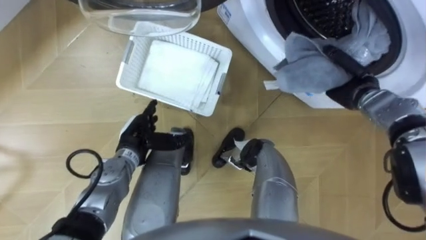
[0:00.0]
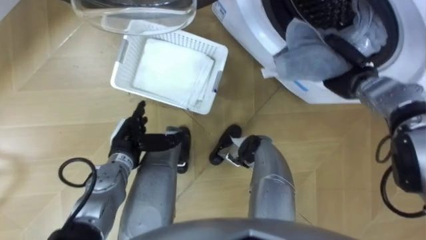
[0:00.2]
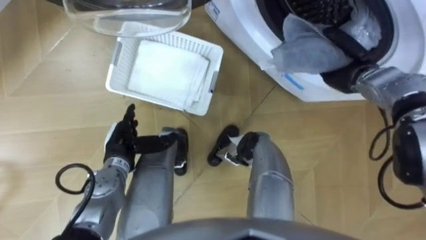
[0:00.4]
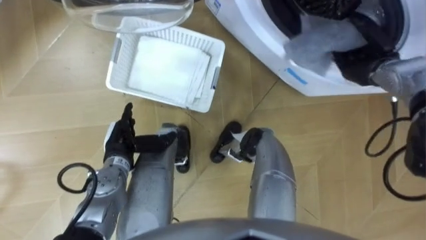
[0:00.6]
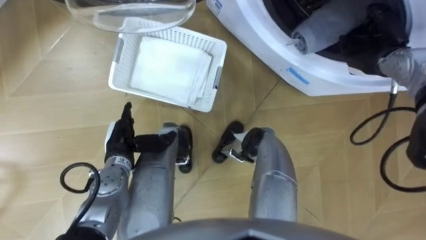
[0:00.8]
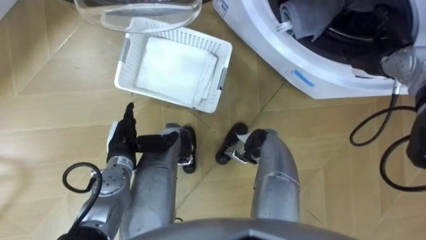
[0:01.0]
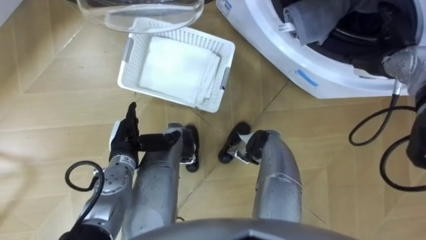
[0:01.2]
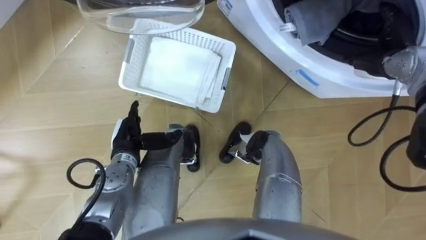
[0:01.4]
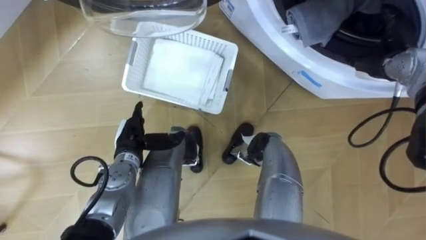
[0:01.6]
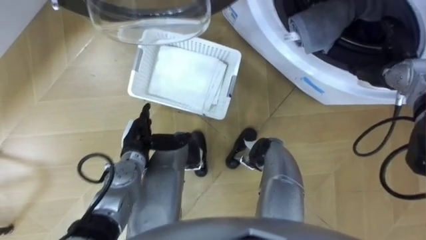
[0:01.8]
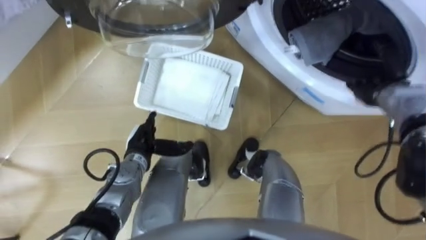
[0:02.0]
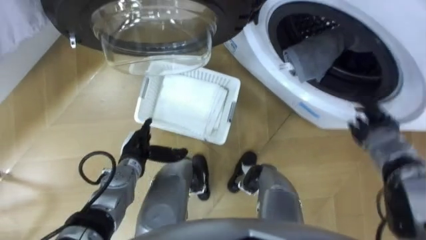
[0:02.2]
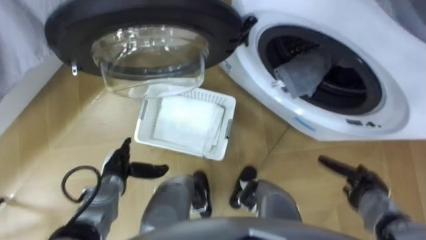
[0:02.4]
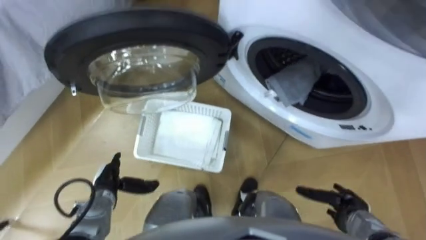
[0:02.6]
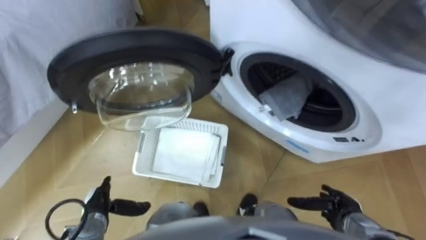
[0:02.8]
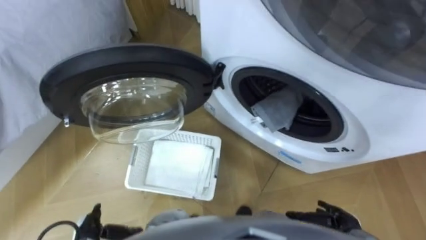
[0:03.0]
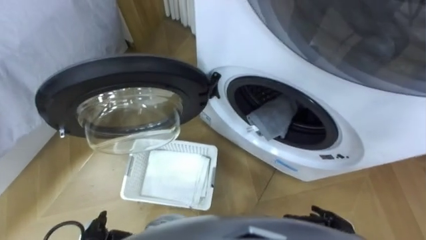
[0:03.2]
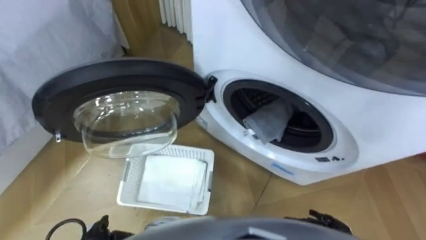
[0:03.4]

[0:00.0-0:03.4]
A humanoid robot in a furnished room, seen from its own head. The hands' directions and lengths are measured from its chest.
Task of the whole recording: Take the towel from the basket and put it into the washing machine.
0:00.0 to 0:01.6: The right hand heads upward, covering roughly 5 cm, and opens up.
0:01.6 to 0:03.4: The right hand shifts about 40 cm backward and downward.

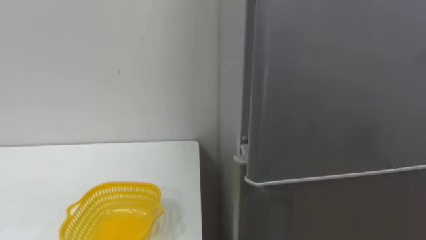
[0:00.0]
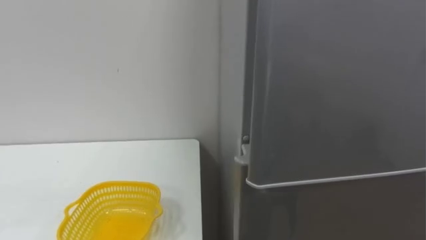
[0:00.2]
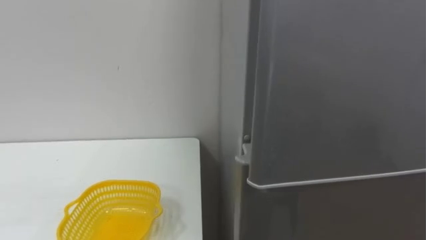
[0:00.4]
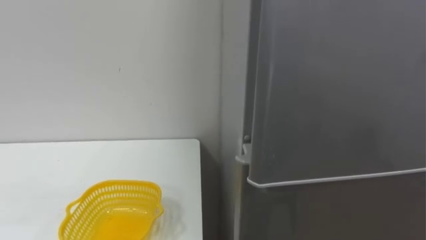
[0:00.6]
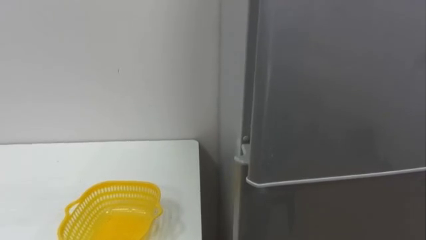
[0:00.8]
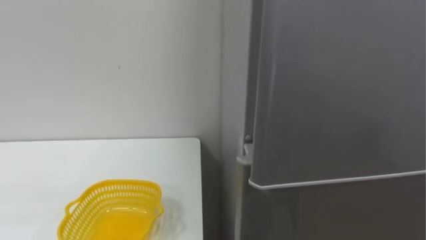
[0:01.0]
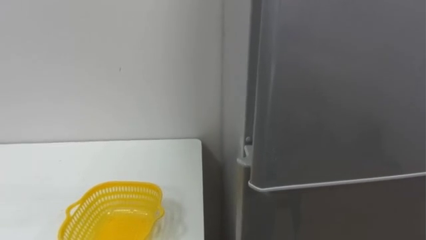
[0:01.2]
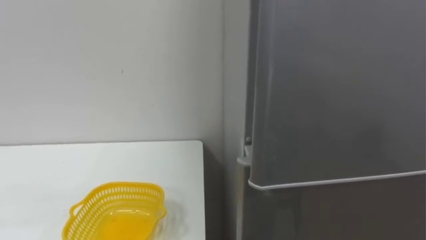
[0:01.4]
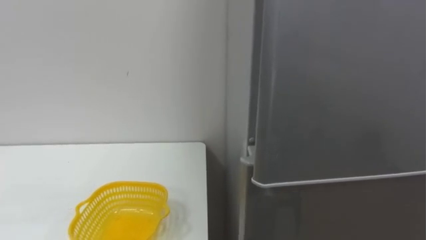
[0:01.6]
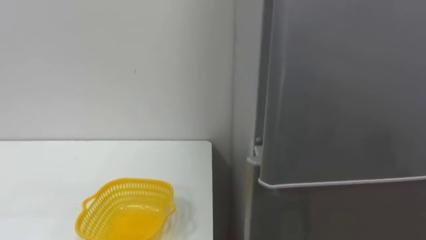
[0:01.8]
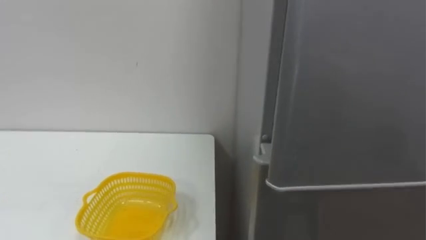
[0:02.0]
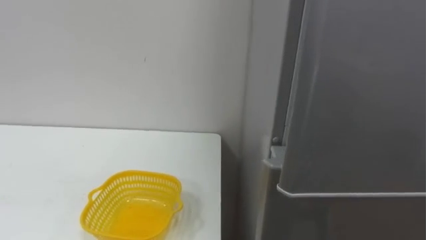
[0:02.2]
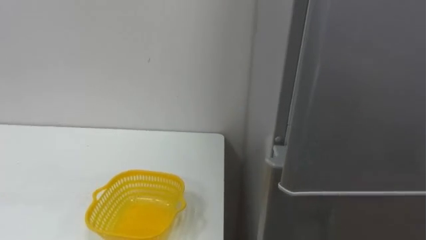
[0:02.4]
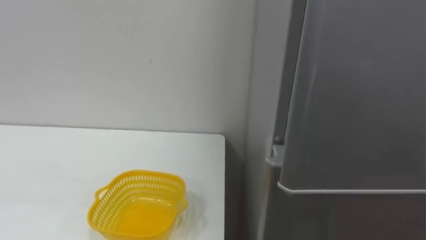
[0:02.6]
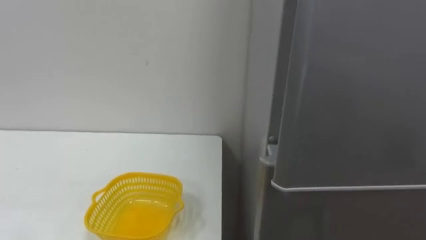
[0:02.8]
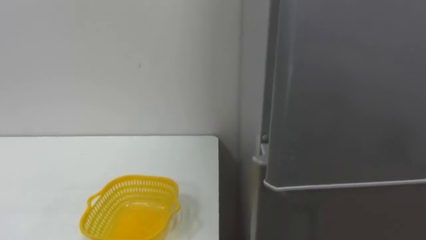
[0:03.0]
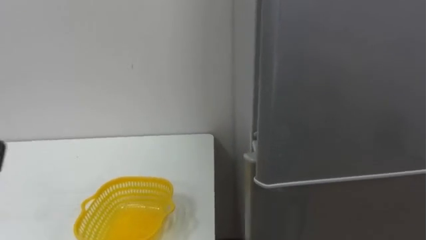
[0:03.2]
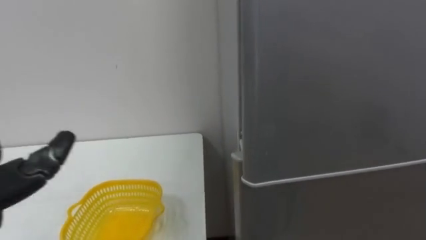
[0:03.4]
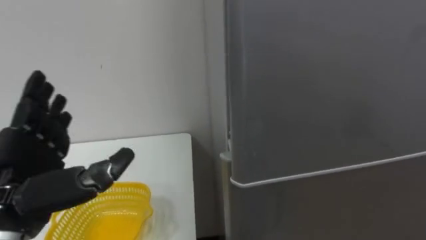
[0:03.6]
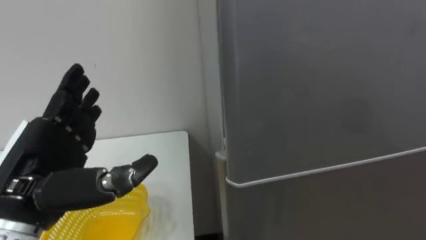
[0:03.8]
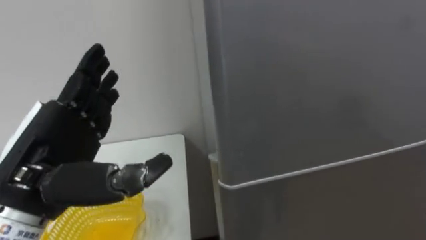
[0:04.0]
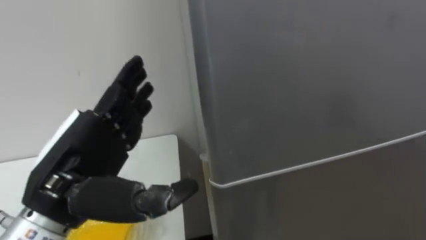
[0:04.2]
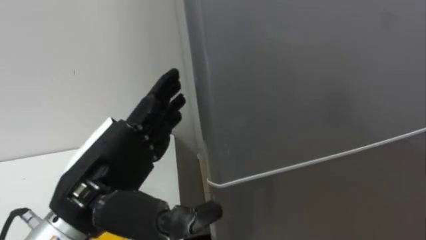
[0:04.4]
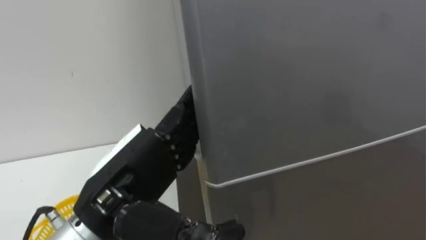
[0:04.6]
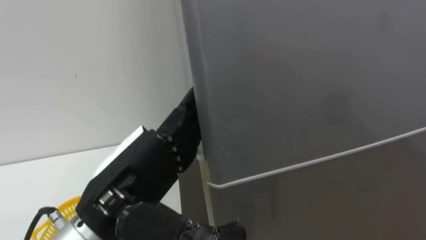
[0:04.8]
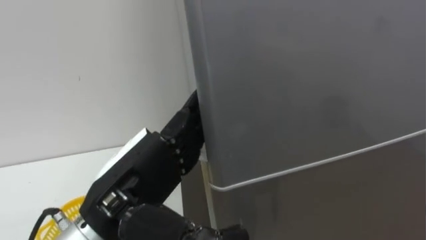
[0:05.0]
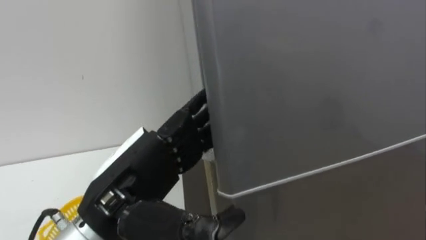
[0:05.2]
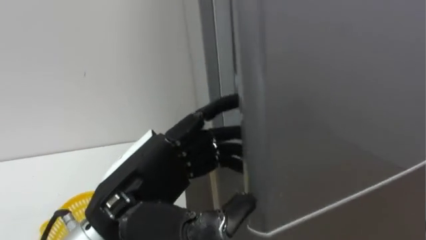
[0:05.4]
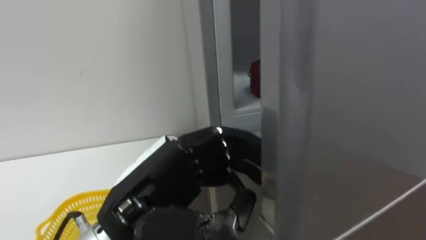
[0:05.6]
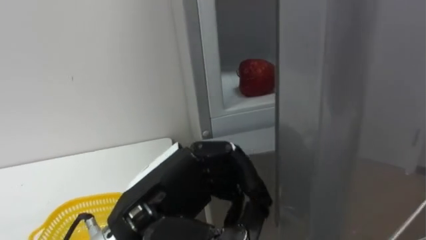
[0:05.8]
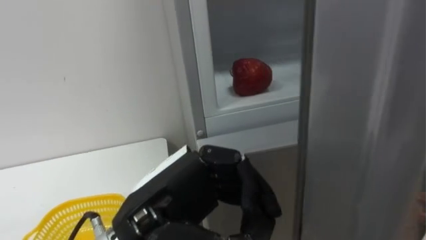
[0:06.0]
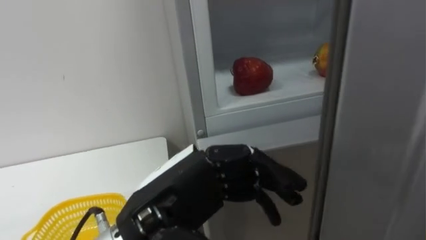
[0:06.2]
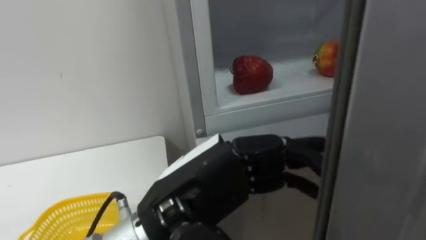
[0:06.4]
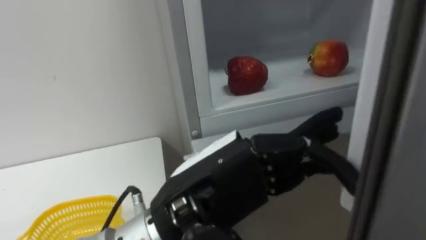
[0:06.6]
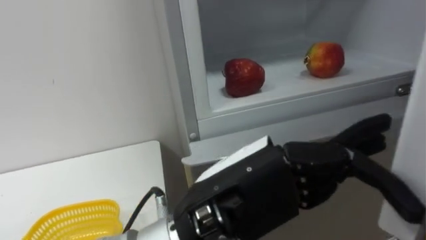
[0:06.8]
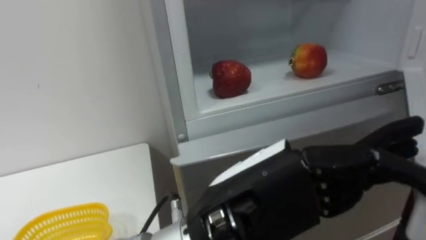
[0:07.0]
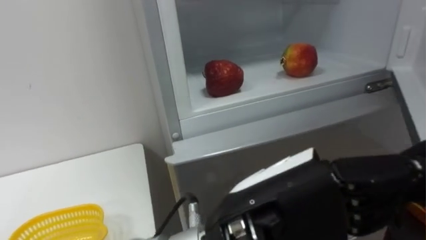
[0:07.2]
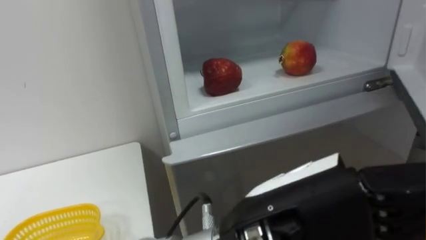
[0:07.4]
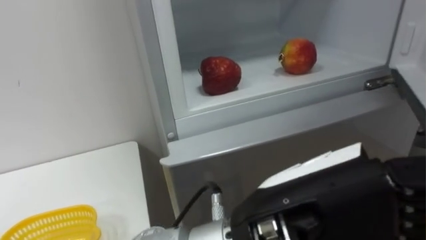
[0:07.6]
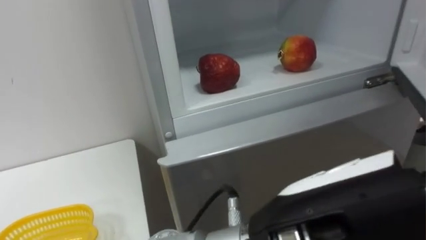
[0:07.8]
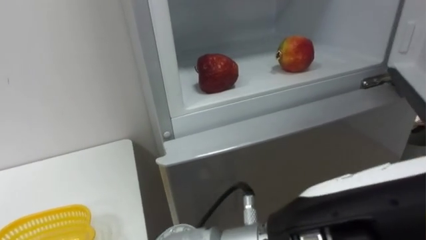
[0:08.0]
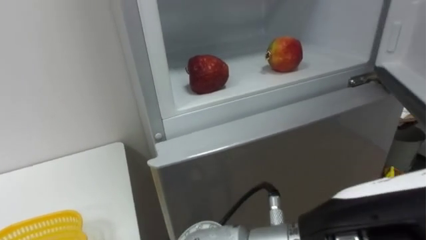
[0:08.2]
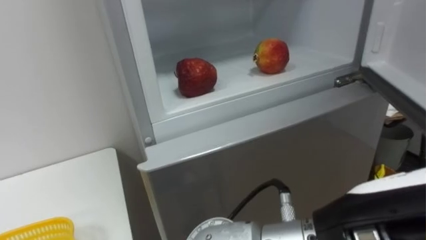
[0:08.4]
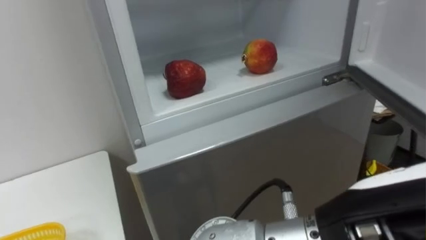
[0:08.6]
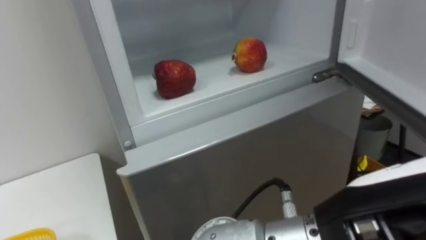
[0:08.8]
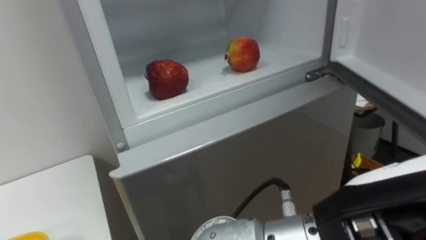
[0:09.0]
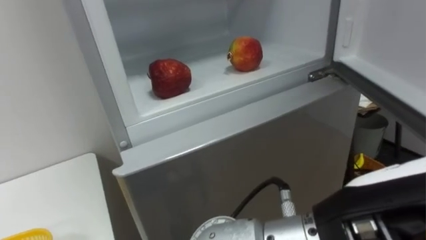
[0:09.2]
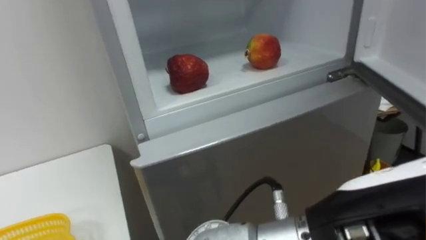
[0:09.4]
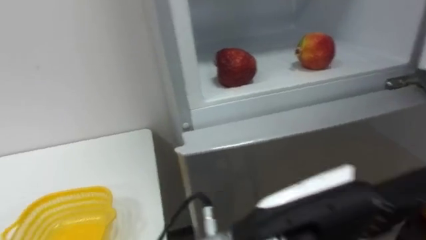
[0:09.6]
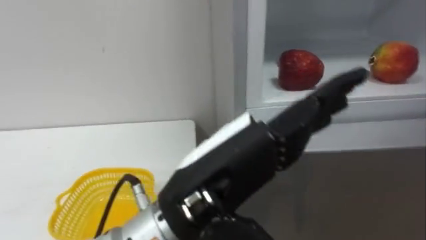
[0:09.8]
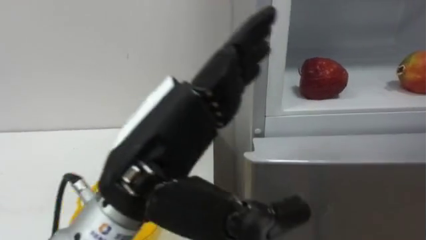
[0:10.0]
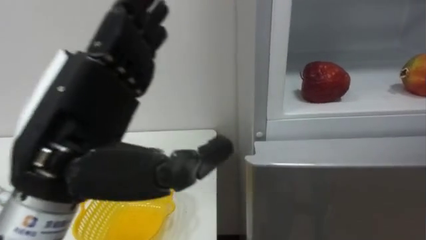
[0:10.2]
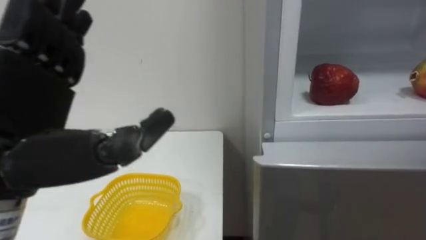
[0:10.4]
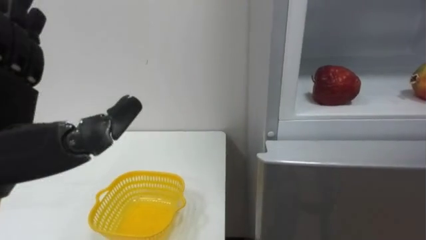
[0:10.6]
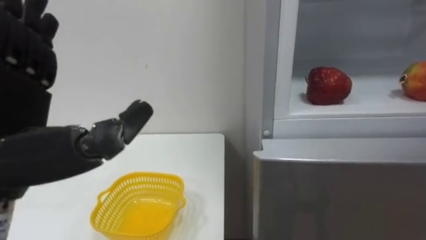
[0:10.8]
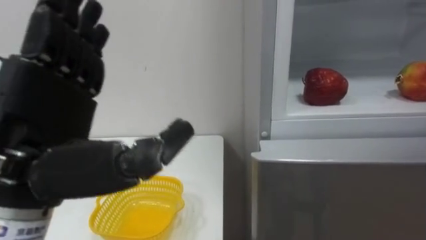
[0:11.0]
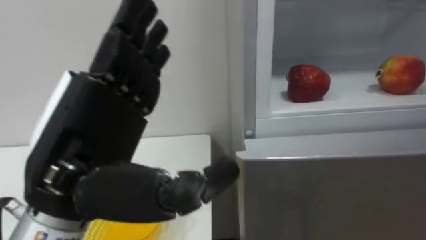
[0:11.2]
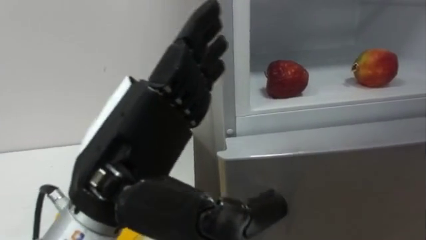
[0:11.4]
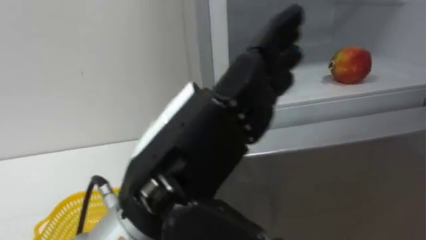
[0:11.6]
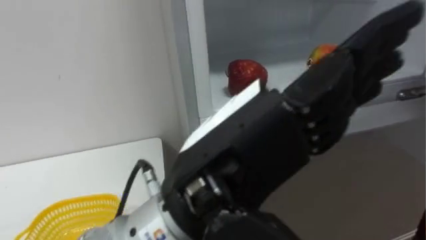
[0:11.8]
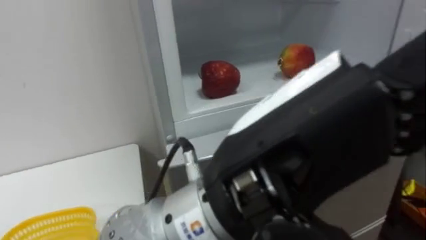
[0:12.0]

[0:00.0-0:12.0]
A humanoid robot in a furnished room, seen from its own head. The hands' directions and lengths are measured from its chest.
Task of the whole recording: Open the refrigerator door, take out the apple and the pomegranate, place them in the fruit basket on the left, and close the refrigerator door.
0:04.4 to 0:06.0: The left hand goes some 5 cm to the right, and closes its fingers.
0:06.0 to 0:07.6: The left hand is displaced to the right, backward and upward by approximately 15 cm, and opens its fingers.
0:07.6 to 0:09.0: The left hand travels to the right by some 5 cm.
0:09.0 to 0:10.4: The left hand travels to the left by about 30 cm.

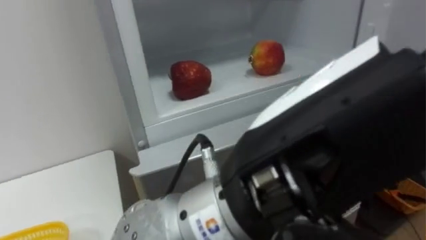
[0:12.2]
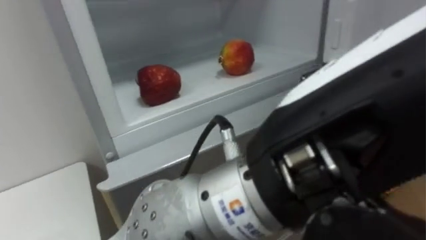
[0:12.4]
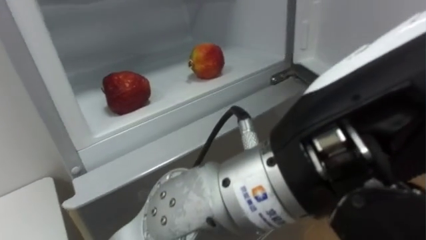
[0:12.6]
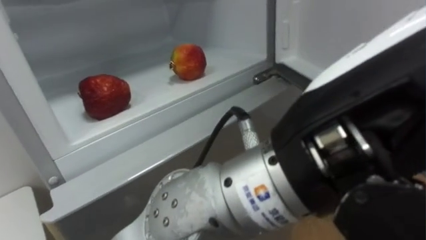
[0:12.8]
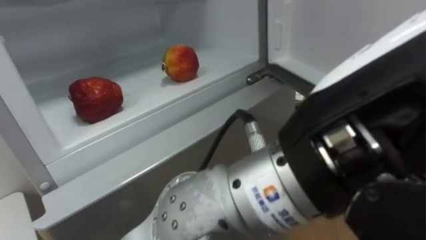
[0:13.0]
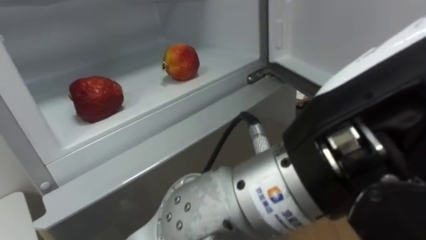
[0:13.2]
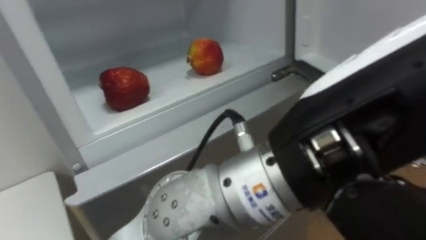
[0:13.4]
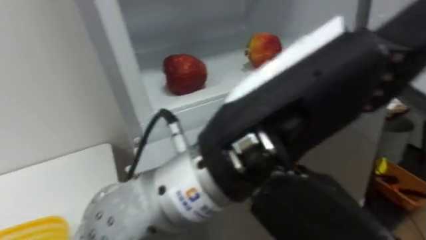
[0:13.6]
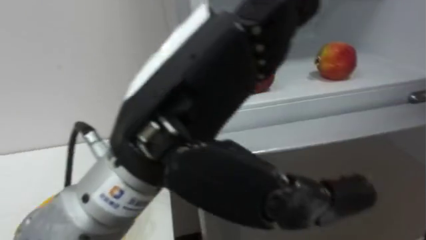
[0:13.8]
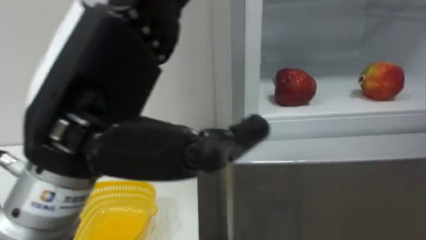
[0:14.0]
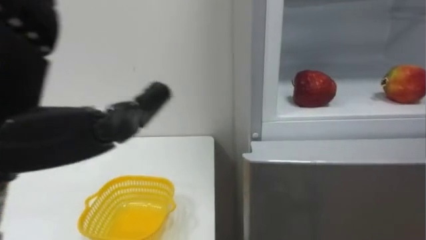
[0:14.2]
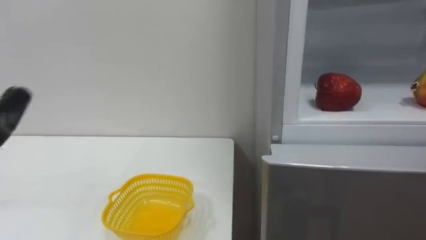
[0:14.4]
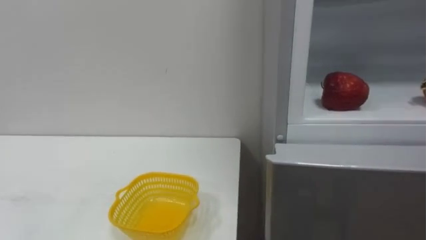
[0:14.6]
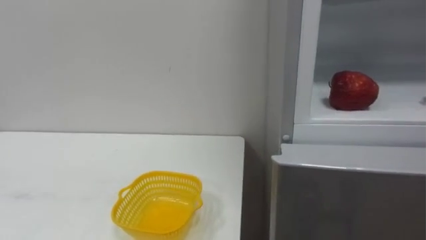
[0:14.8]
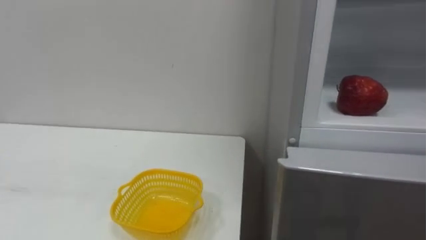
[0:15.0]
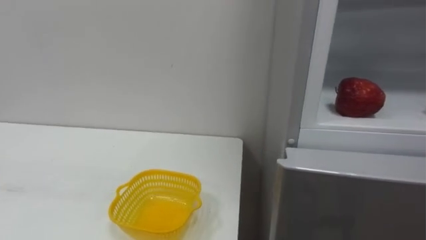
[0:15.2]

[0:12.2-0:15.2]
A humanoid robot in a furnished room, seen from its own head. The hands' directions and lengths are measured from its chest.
Task of the whole recording: Open the refrigerator door, take out the apple and the pomegranate, place them in the fruit basket on the left, and close the refrigerator door.
0:12.2 to 0:13.8: The left hand shifts roughly 10 cm to the left and forward.
